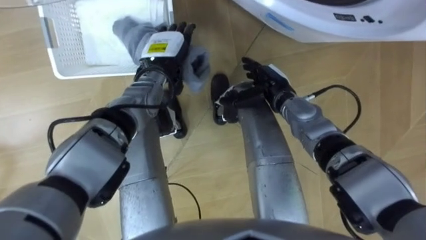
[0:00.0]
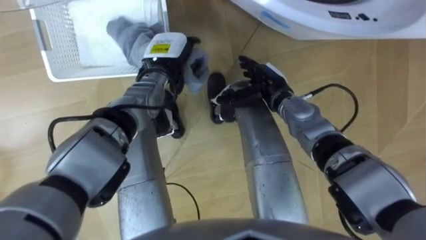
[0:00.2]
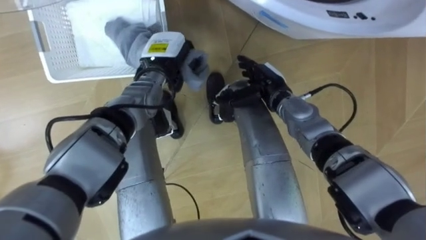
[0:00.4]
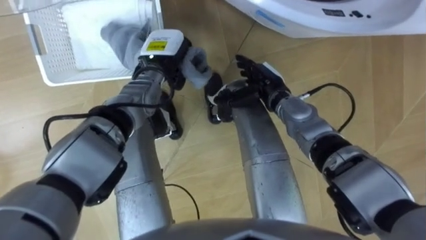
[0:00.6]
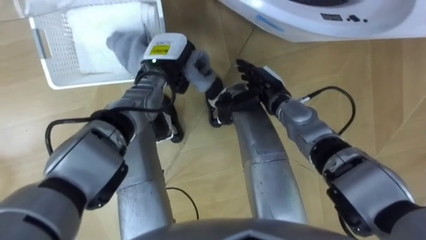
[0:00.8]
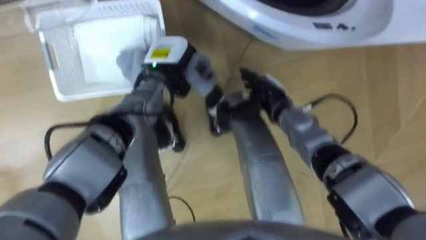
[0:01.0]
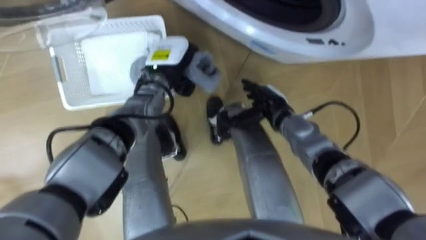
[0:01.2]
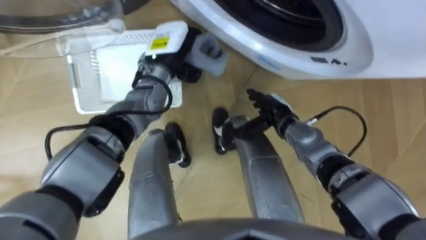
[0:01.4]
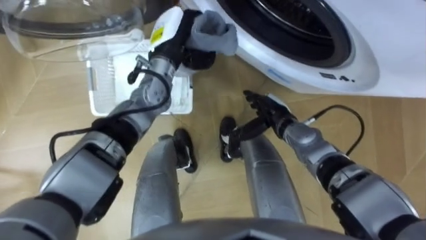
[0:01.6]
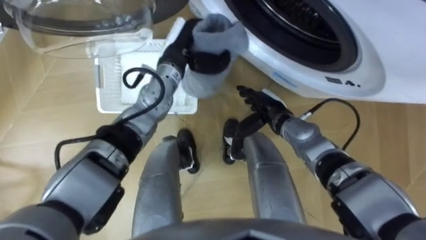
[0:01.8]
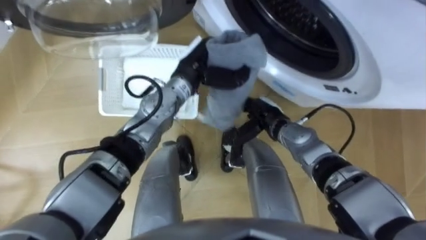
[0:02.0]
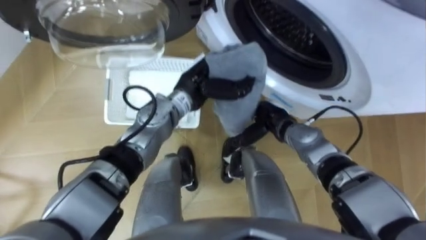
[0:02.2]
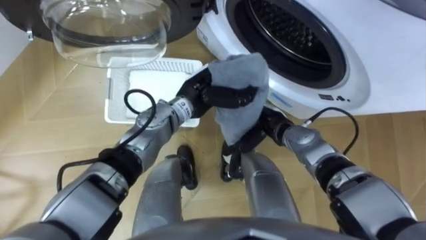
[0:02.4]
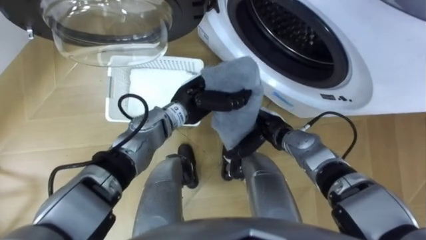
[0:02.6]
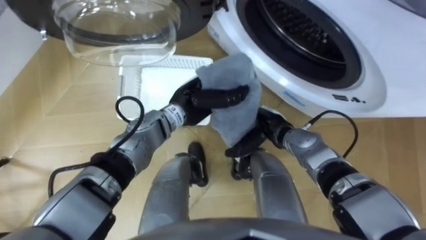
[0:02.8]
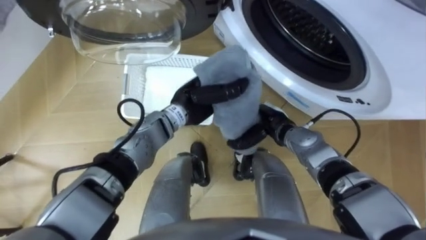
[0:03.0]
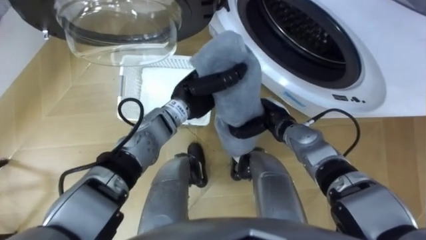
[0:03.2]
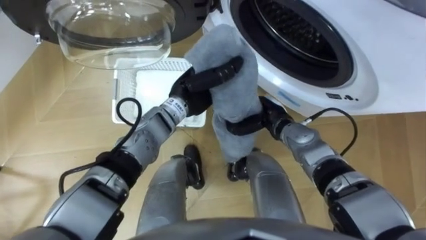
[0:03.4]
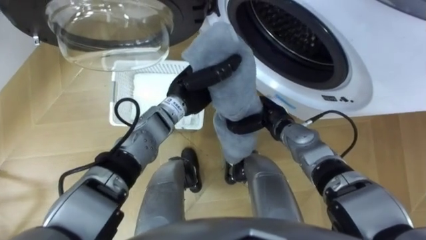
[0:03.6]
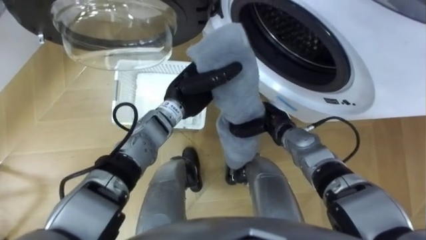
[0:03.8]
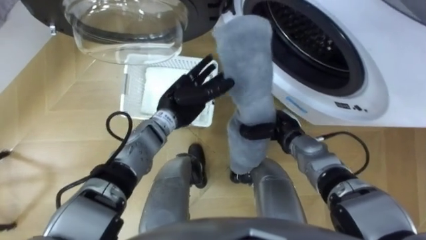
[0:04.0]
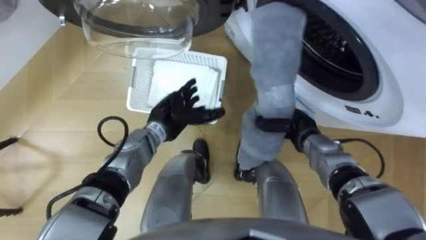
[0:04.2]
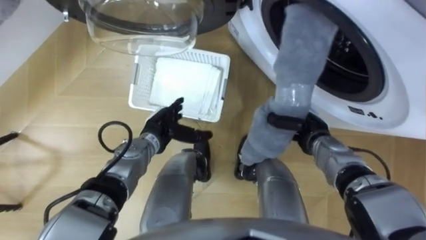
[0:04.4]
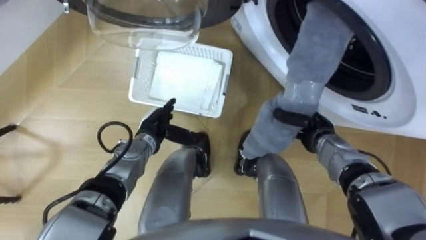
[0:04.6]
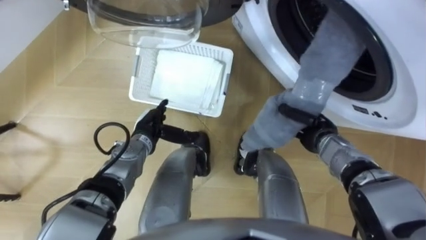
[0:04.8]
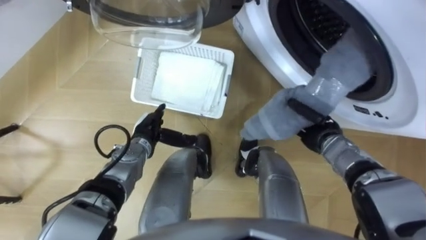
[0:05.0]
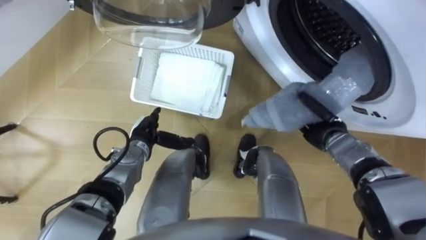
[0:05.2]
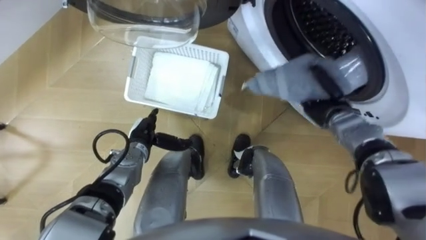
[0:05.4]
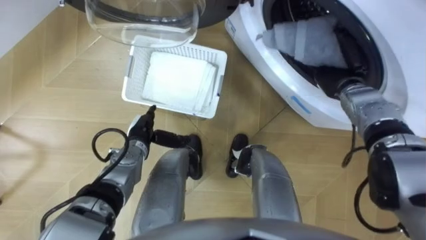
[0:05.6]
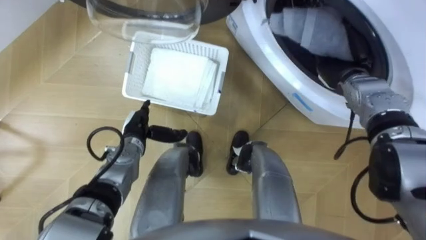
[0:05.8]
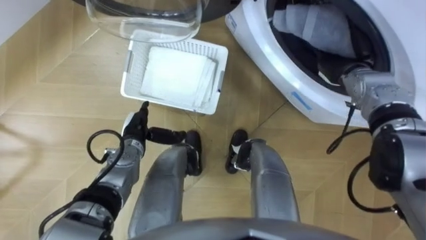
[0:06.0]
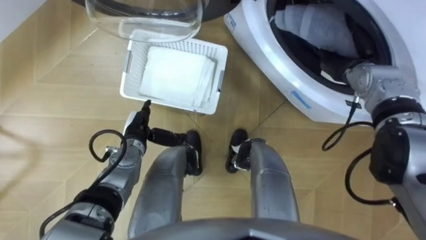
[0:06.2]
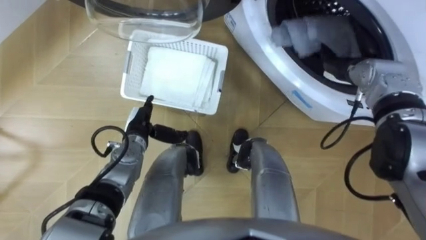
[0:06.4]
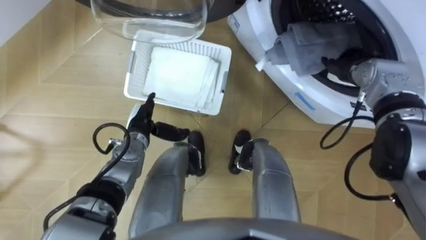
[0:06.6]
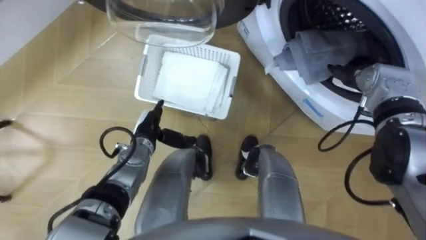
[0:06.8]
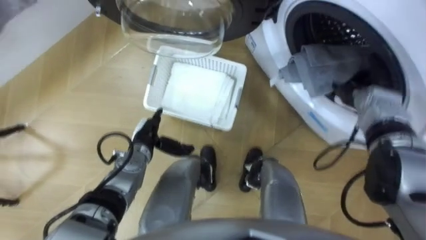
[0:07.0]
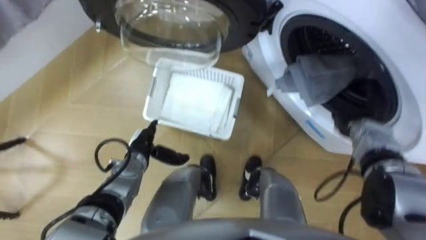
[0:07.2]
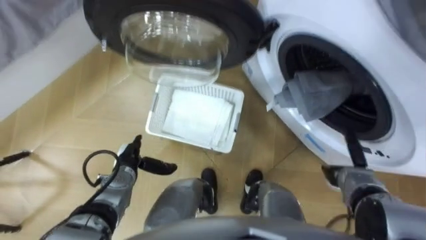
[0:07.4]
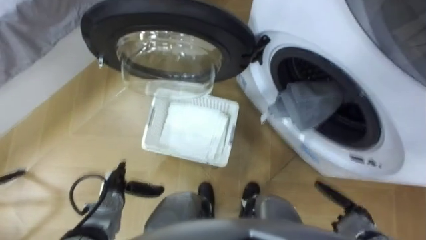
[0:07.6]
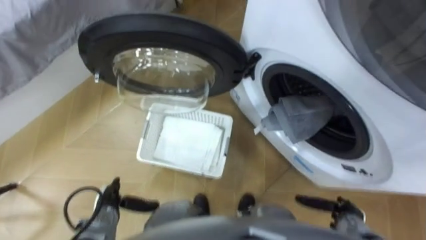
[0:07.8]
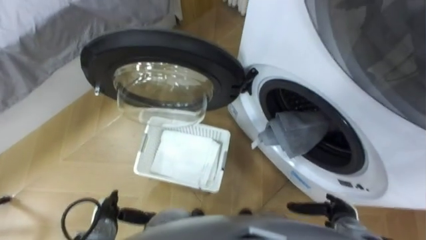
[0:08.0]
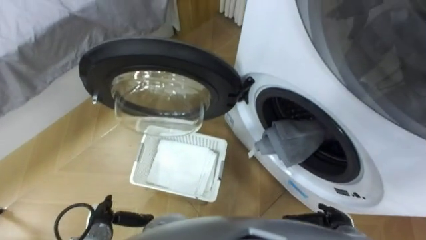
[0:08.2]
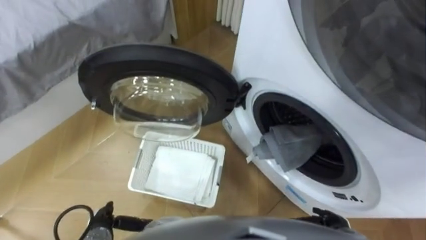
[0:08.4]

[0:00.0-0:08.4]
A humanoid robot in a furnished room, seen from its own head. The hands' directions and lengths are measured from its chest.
Task of the whole recording: Take the towel from the basket and put it into the washing machine.
0:00.0 to 0:01.4: The right hand shifts by some 5 cm; the left hand closes its fingers.
0:01.4 to 0:02.8: The left hand shifts about 10 cm backward, to the right and downward.
0:02.8 to 0:04.2: The left hand goes about 10 cm to the left and downward, and opens up. The right hand heads to the right, covering roughly 5 cm, and closes.
0:04.2 to 0:05.6: The right hand heads forward, upward and to the right, covering roughly 15 cm. Meanwhile the left hand is displaced to the left and downward by approximately 10 cm.
0:05.6 to 0:07.0: The right hand ends up about 5 cm from where it was, and opens up.
0:07.0 to 0:08.4: The left hand goes about 20 cm backward and to the left. The right hand moves backward and downward, about 30 cm.

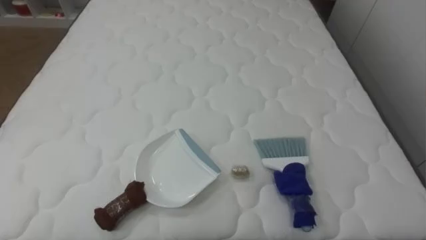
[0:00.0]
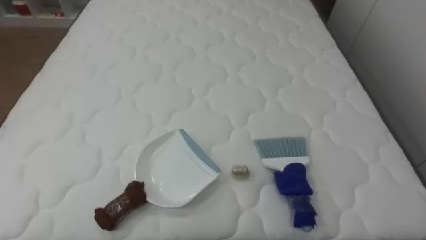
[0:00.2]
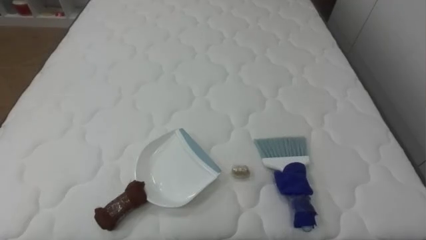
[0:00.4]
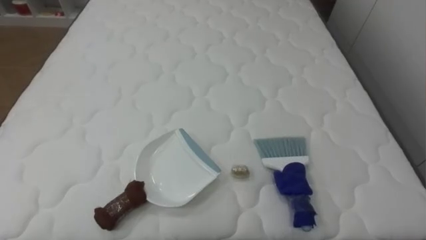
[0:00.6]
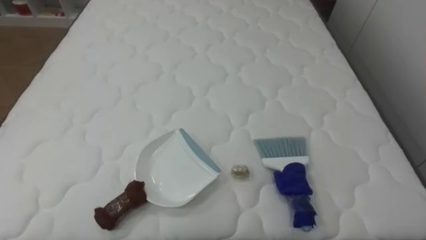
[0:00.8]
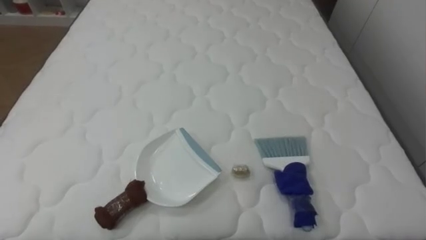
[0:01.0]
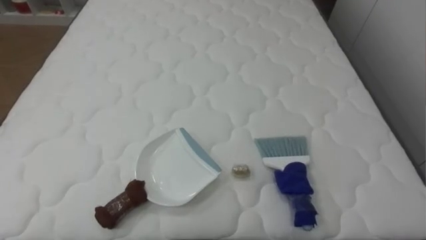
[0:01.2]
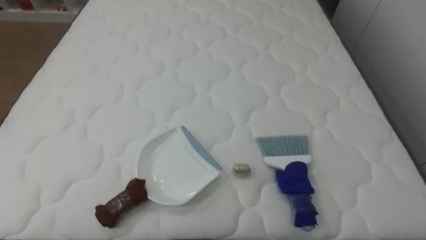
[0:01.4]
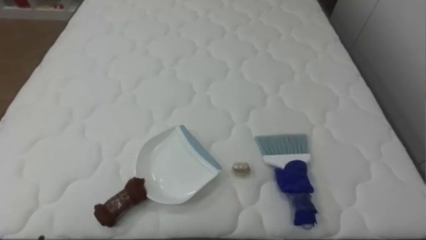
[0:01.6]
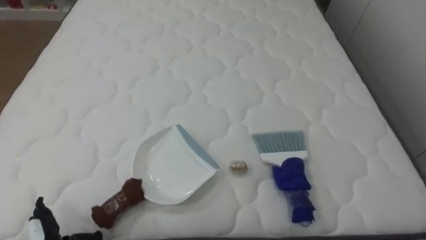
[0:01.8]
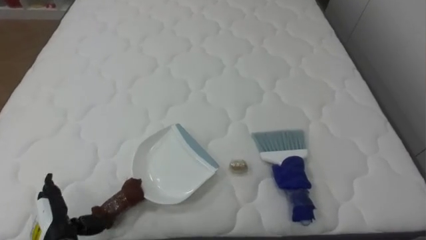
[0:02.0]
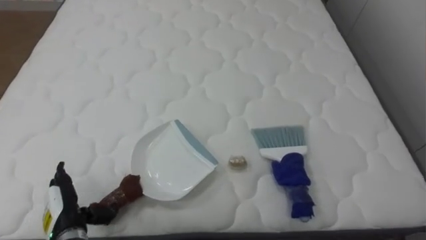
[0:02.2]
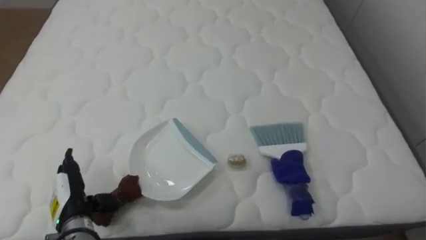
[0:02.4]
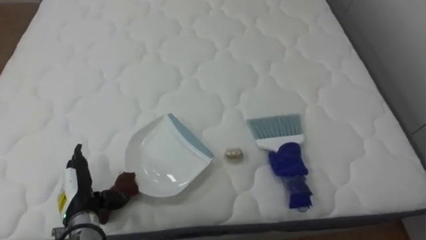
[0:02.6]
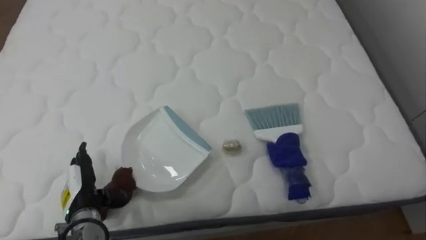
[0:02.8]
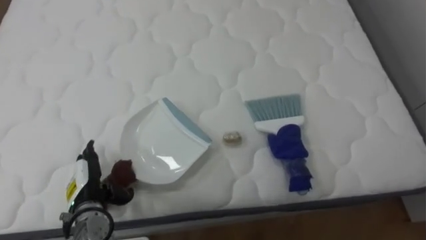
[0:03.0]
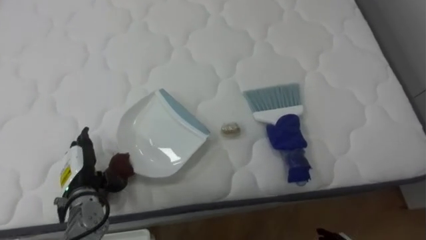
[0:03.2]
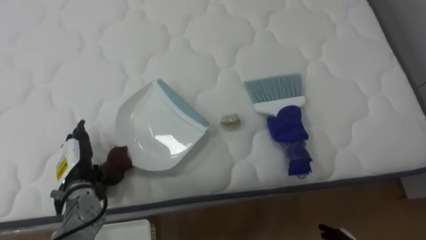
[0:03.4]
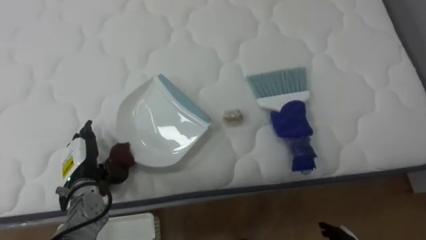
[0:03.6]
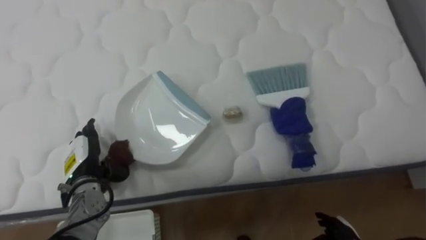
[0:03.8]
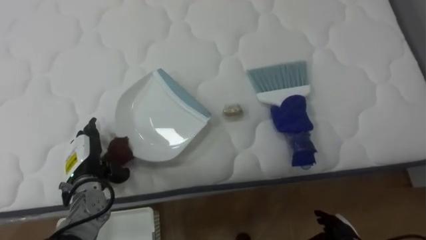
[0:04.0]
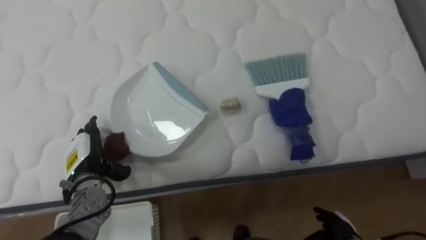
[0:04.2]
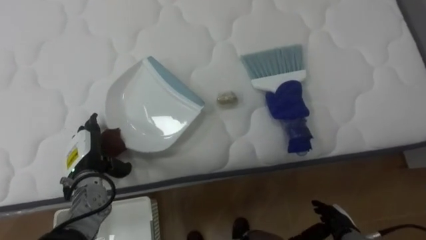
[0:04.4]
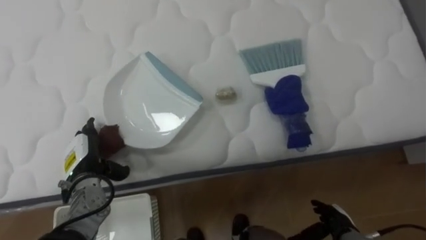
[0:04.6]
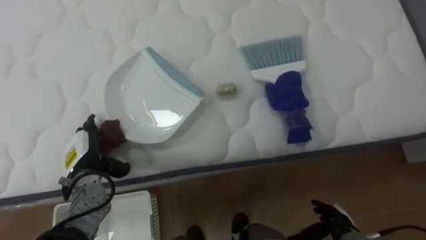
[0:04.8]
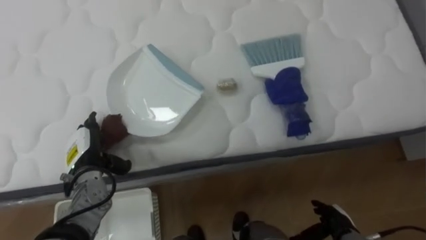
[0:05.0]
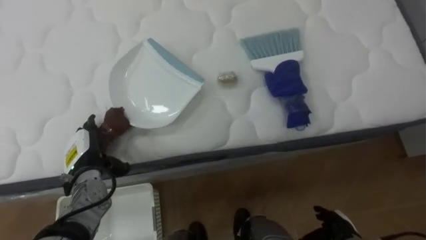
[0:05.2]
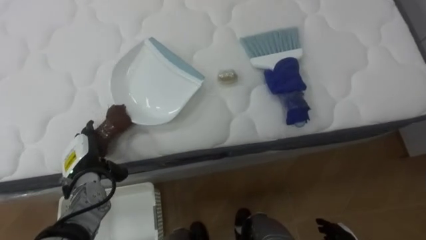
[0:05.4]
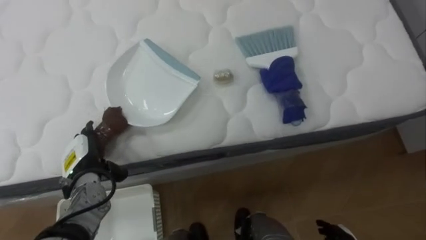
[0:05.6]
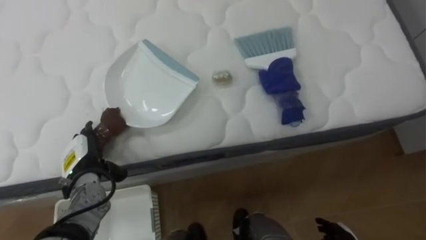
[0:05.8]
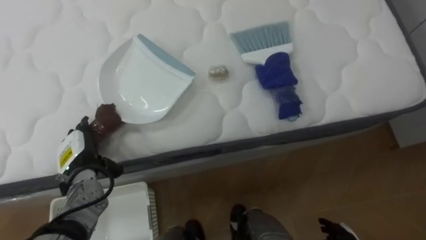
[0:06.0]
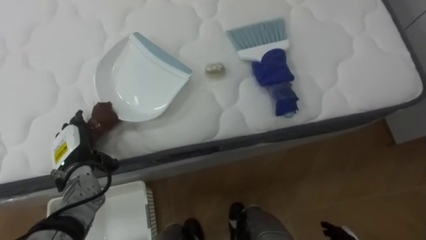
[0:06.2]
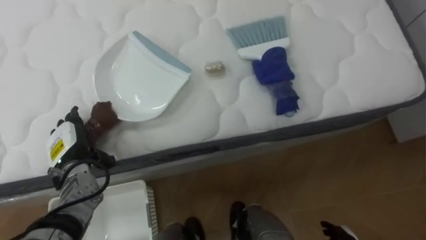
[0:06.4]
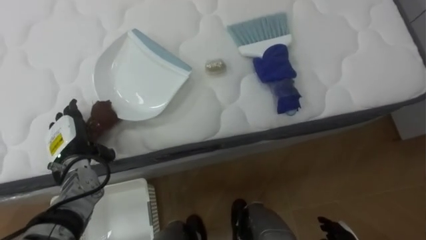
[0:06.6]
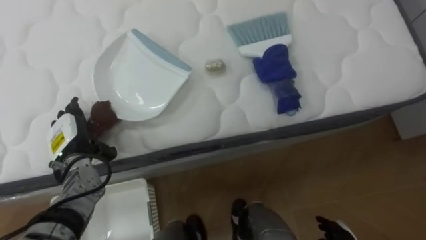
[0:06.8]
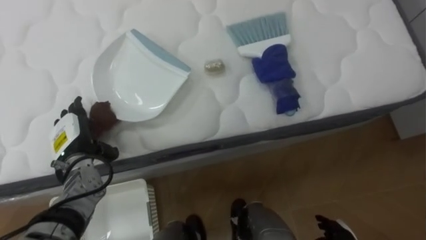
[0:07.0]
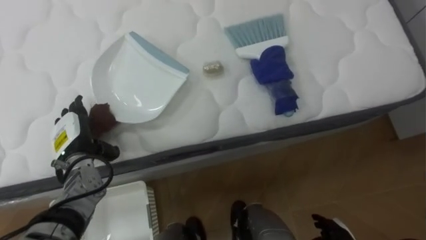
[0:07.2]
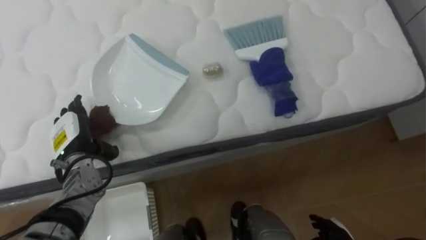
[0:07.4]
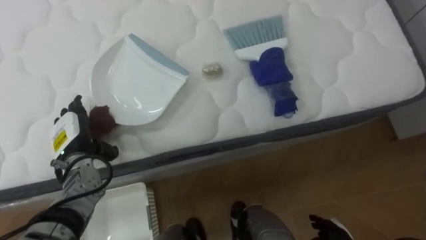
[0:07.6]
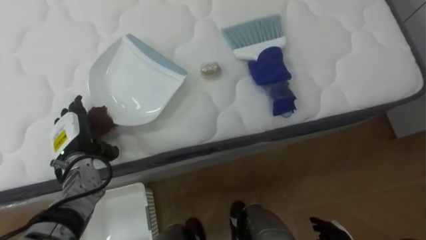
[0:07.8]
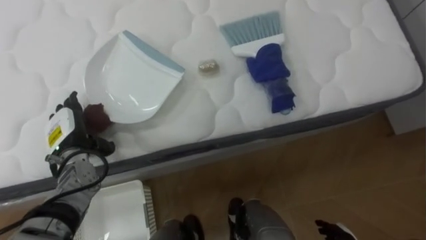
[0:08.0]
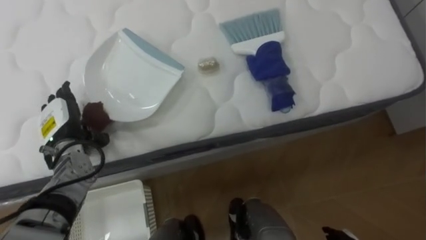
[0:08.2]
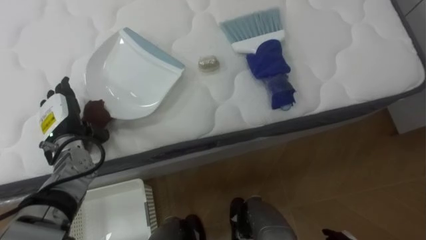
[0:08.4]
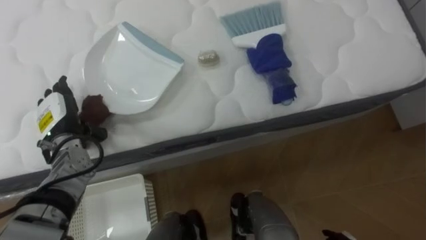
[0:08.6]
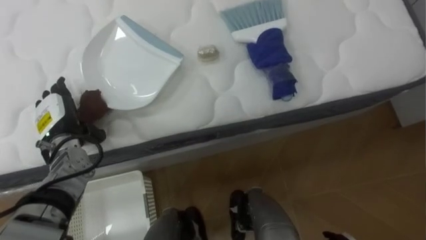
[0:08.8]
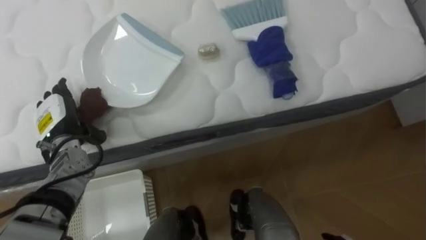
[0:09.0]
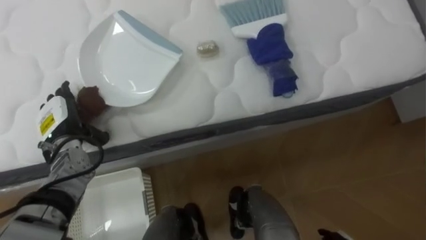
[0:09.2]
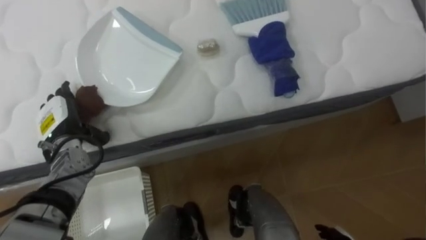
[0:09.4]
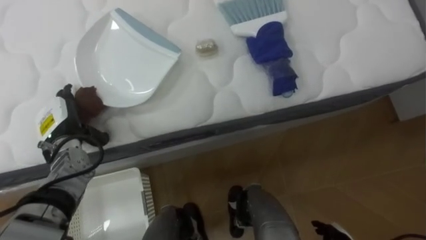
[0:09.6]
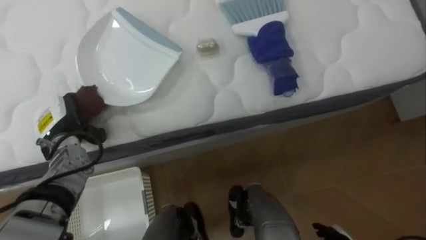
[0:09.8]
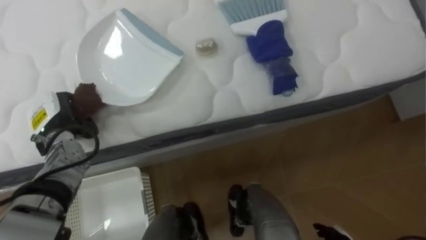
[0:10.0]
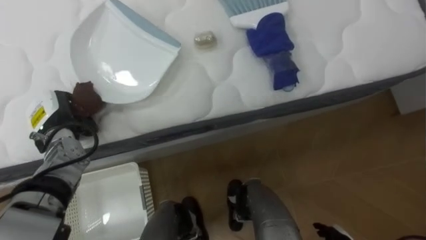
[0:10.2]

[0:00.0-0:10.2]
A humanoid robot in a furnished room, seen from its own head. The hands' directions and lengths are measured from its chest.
Task of the whole recording: Pick up the brush on your right and the dustpan on your left. Use the brush to sweep the crumpled paper on the bed into the dustpan, then turn left and empty it into the basket.
0:03.0 to 0:04.4: The left hand shifts roughly 5 cm forward.
0:08.8 to 0:10.2: The left hand closes.
